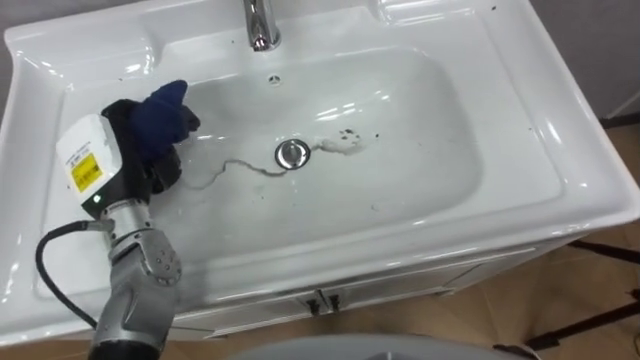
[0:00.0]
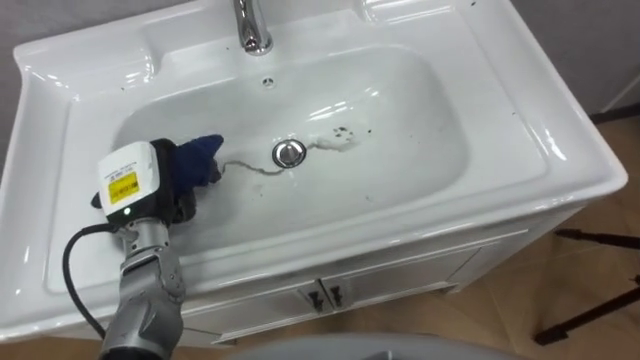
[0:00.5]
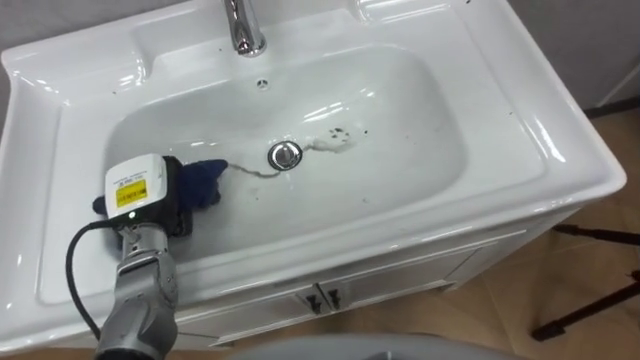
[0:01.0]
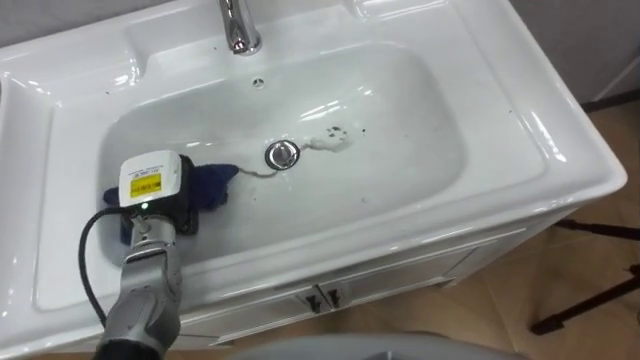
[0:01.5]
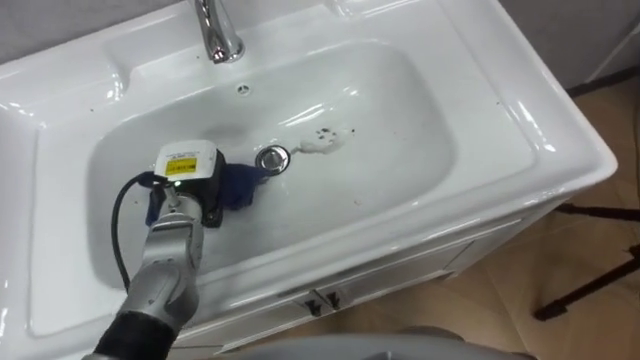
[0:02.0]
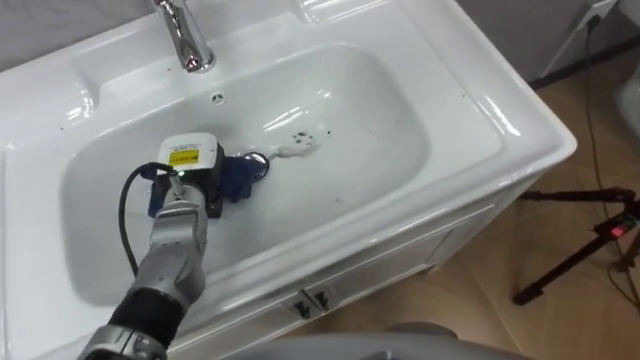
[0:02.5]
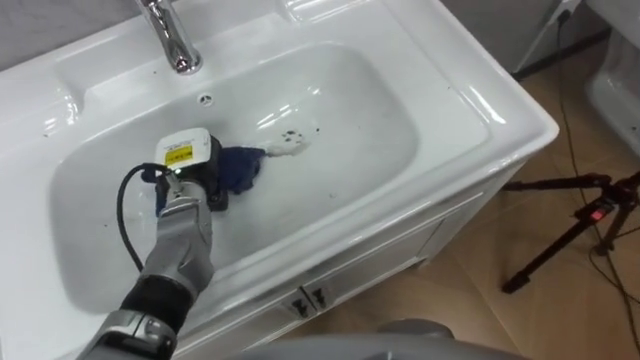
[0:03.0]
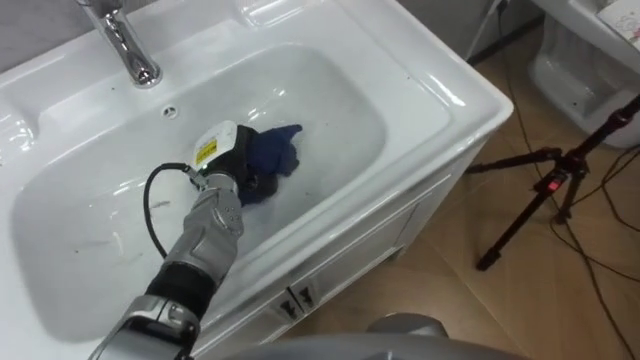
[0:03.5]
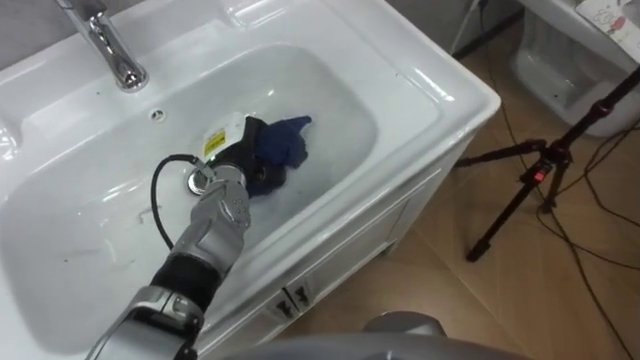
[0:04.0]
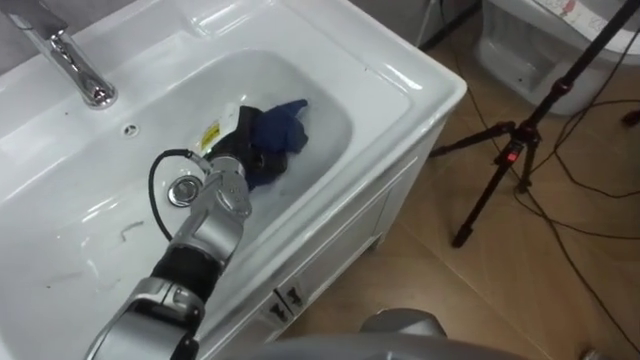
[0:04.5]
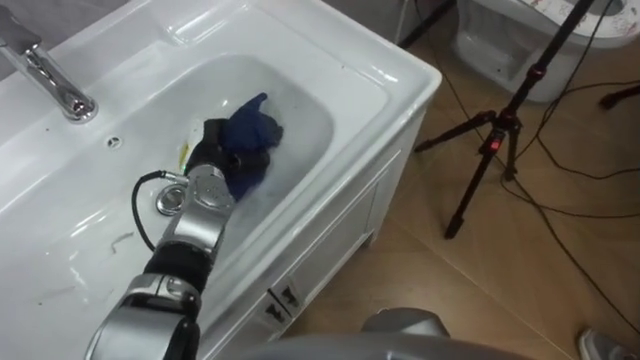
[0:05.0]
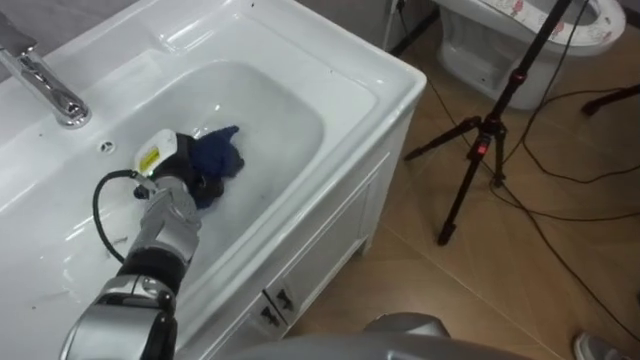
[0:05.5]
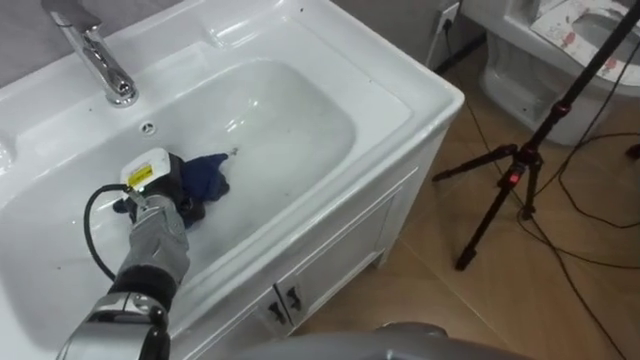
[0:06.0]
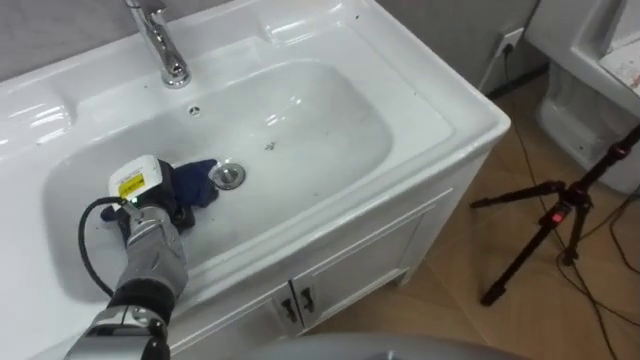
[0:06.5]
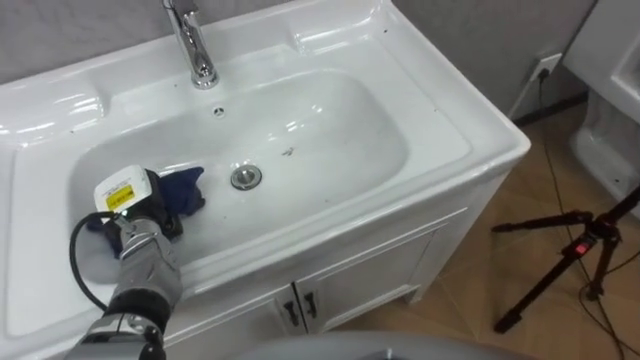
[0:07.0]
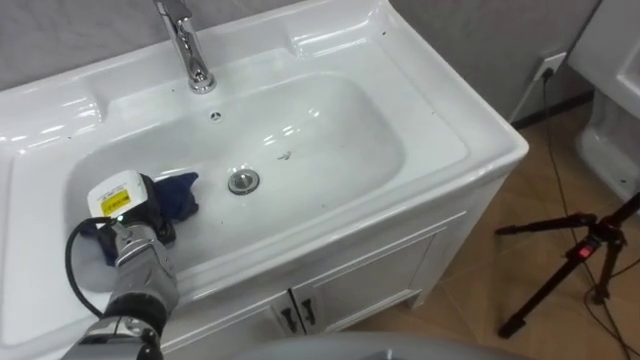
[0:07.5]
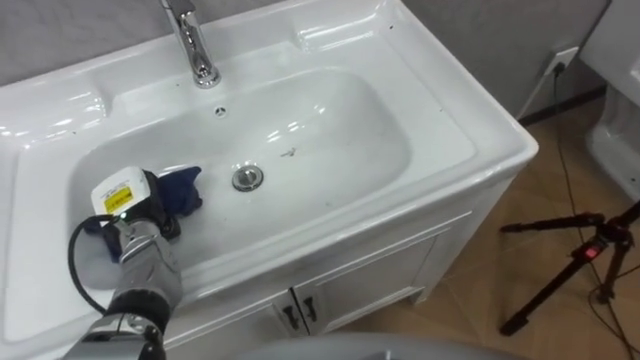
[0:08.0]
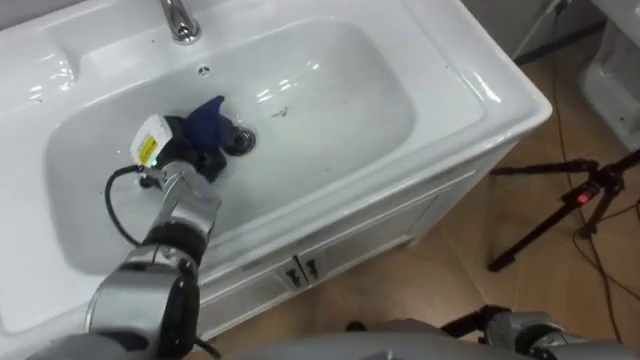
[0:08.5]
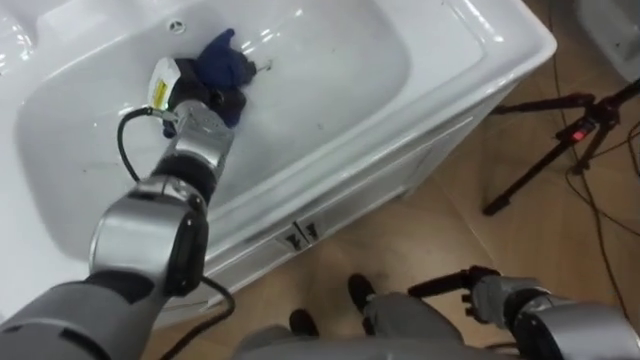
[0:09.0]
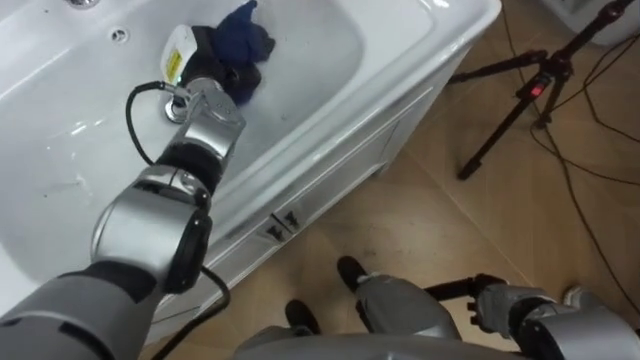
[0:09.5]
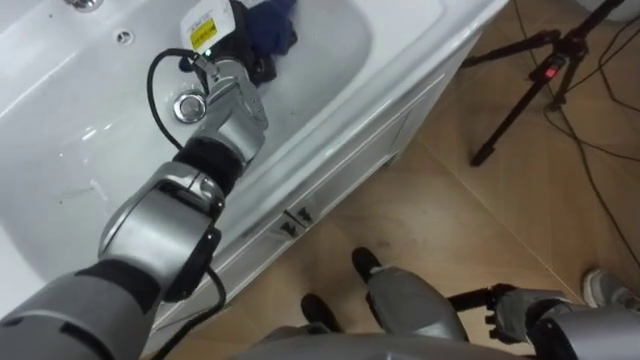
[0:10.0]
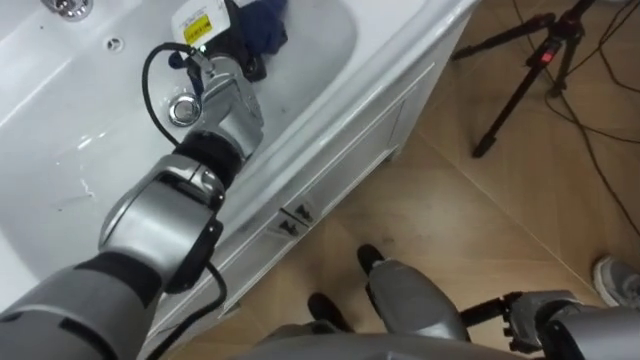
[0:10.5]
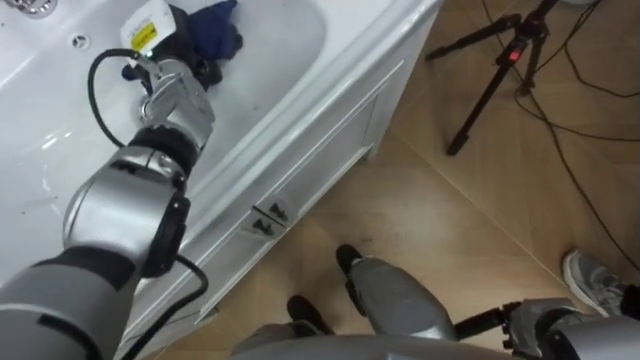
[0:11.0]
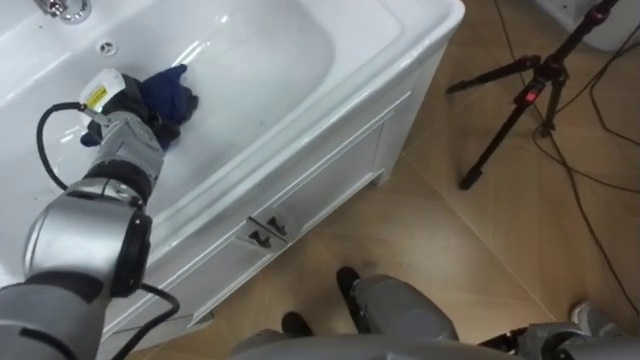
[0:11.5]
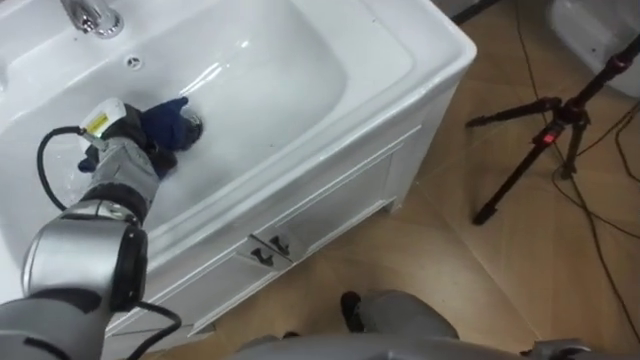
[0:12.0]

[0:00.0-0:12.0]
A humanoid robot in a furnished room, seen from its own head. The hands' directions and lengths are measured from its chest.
Task of the whole recording: Use the cloth on the right to wipe away the black stain in the sink.
0:00.0 to 0:02.0: The left hand goes roughly 10 cm to the right and downward.
0:02.0 to 0:04.0: The left hand moves to the right, about 5 cm.
0:04.0 to 0:06.0: The left hand heads to the left, covering some 15 cm.
0:08.0 to 0:10.0: The left hand is displaced forward, to the right and upward by roughly 30 cm.
0:10.0 to 0:12.0: The left hand goes about 20 cm to the left, downward and backward.

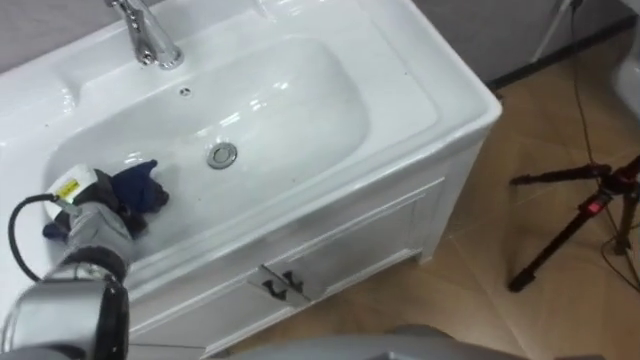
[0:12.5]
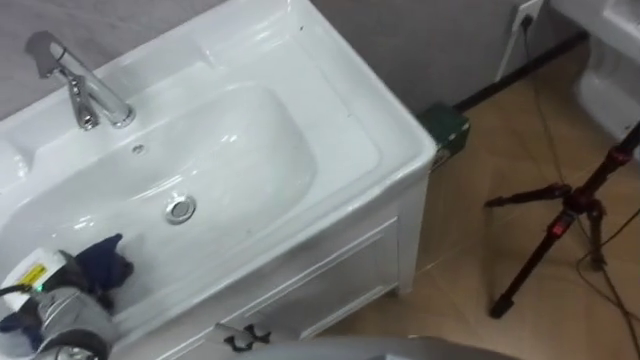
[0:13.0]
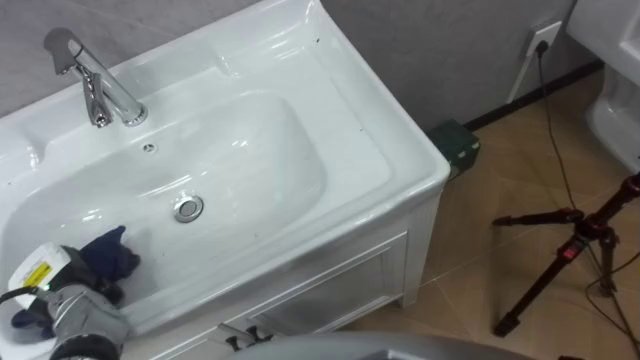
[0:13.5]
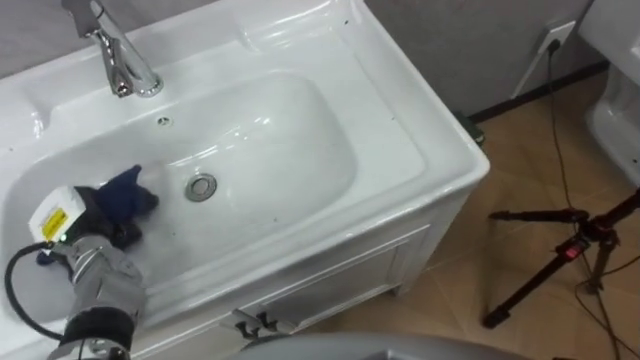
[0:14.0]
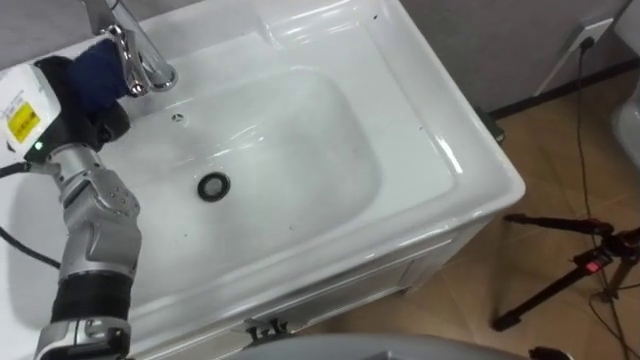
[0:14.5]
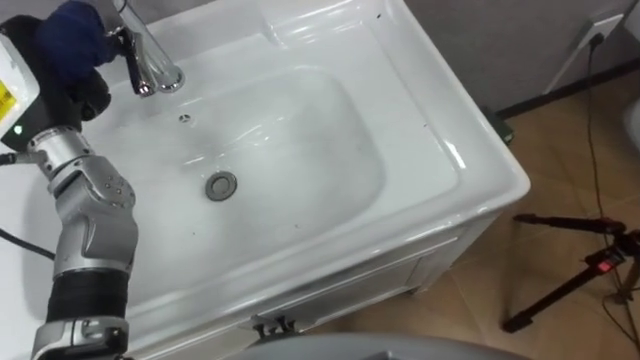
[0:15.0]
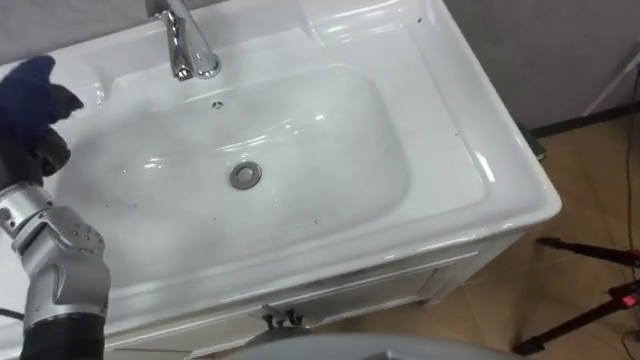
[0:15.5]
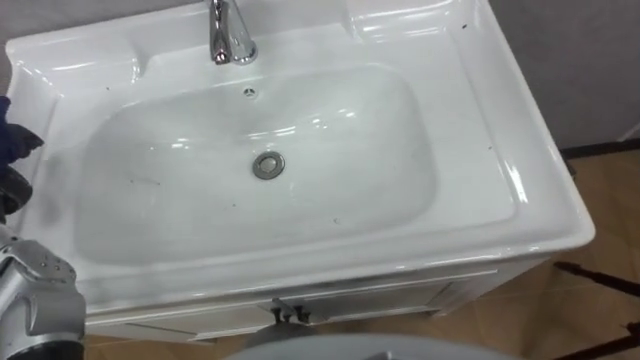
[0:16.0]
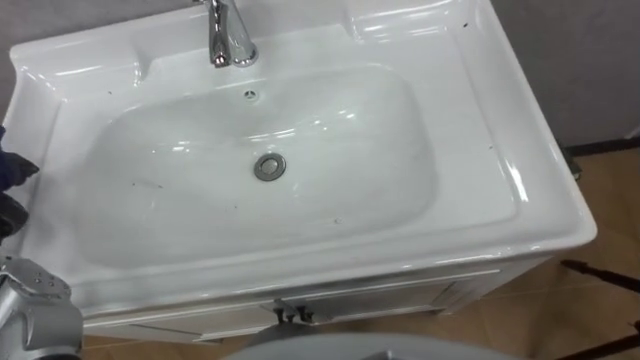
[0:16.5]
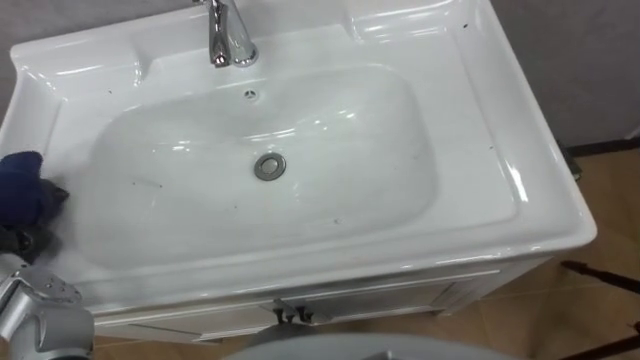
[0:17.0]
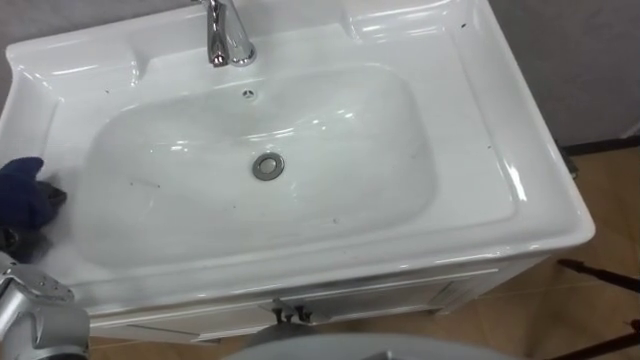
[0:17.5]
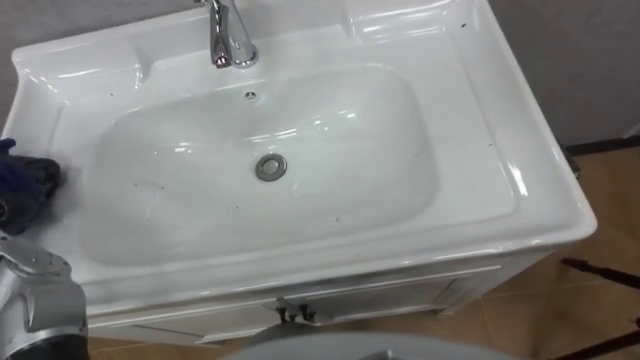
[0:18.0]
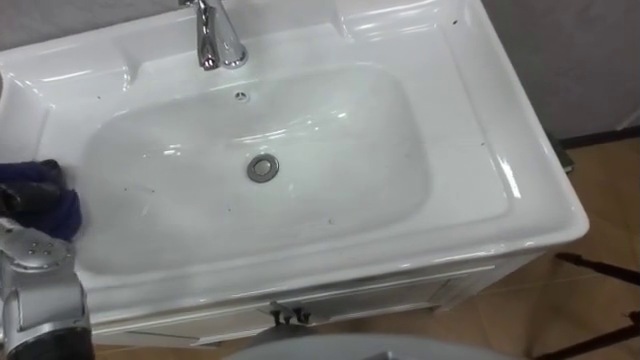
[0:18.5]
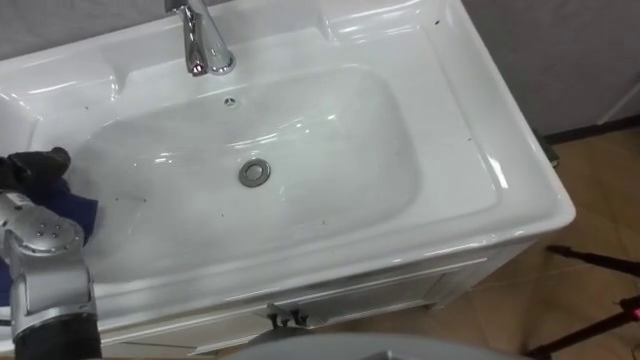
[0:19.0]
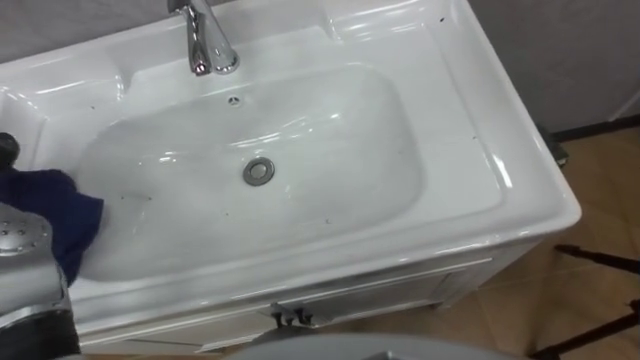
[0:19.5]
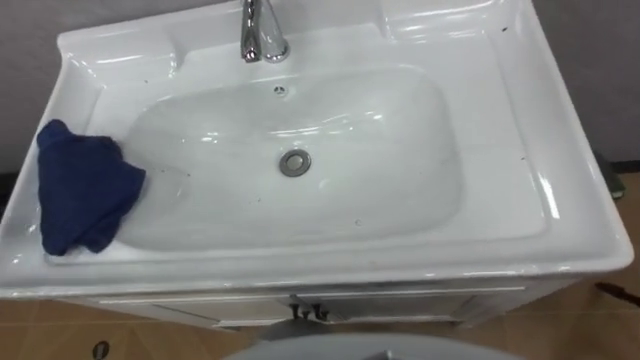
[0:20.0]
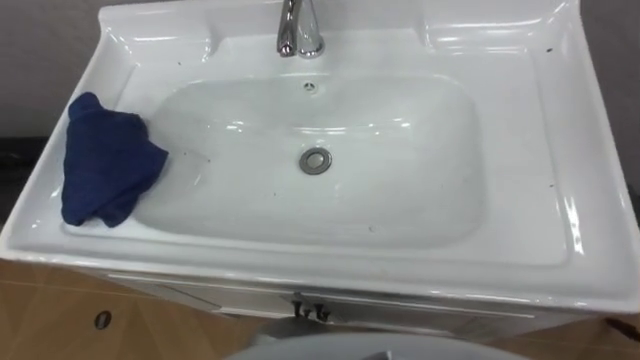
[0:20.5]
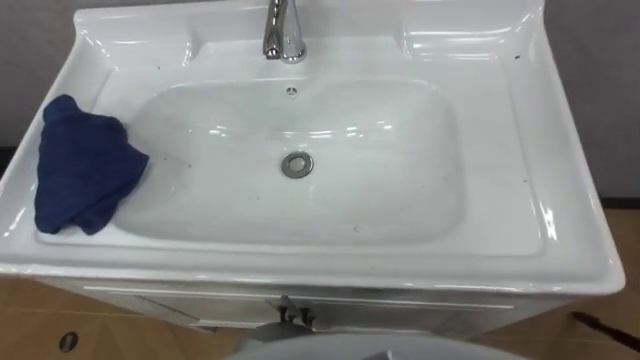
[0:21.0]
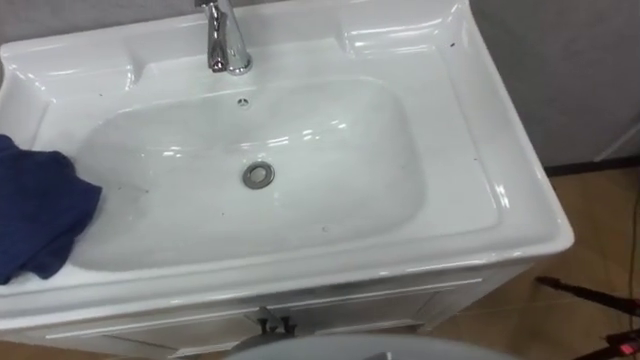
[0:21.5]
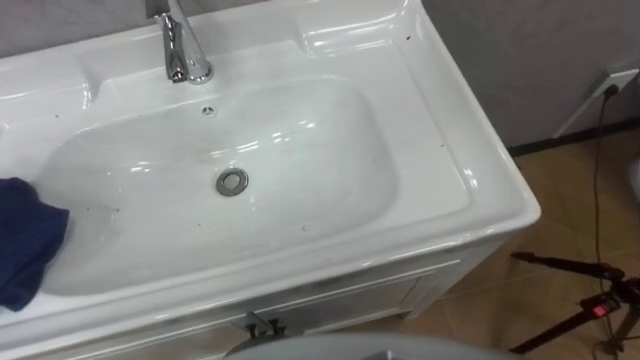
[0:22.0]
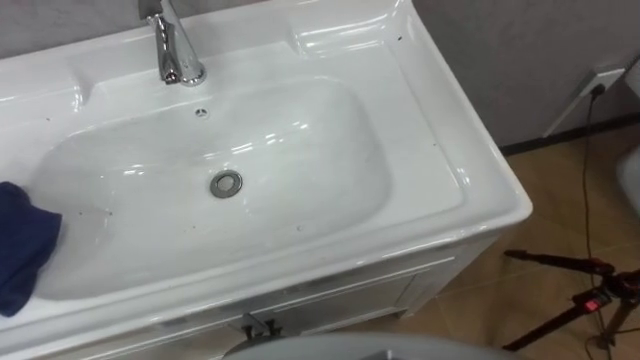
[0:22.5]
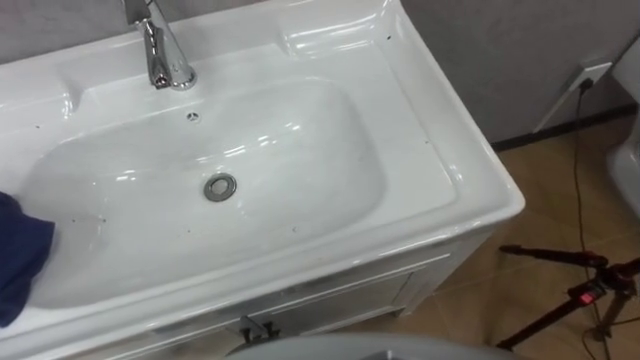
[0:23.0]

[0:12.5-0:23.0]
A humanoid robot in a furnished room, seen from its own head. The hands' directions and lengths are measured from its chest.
Task of the whole recording: Use the cloth on the right to wipe away the black stain in the sink.
0:12.5 to 0:14.5: The left hand shifts roughly 15 cm upward.
